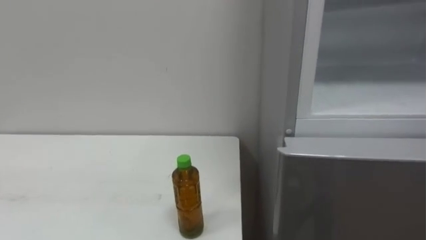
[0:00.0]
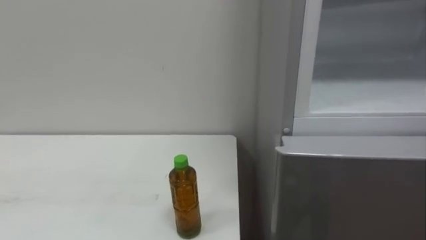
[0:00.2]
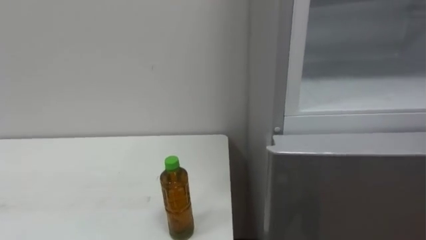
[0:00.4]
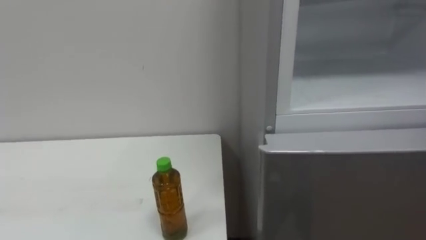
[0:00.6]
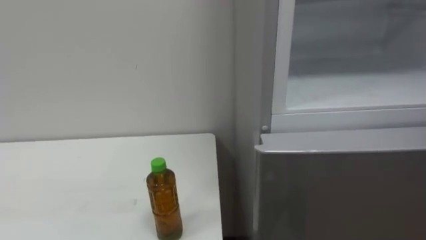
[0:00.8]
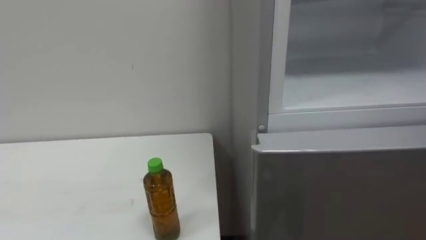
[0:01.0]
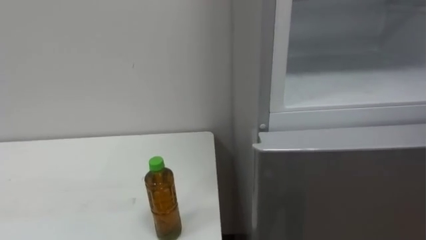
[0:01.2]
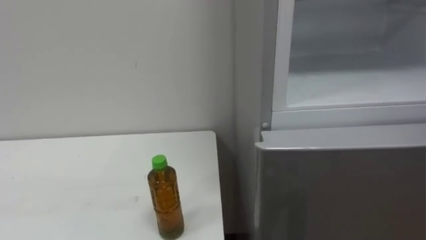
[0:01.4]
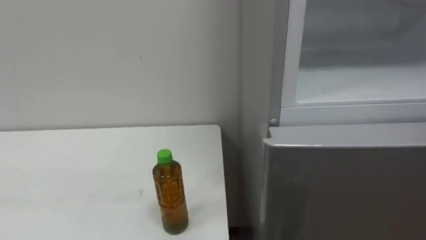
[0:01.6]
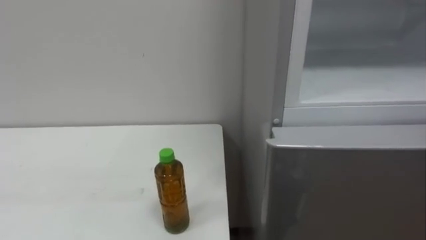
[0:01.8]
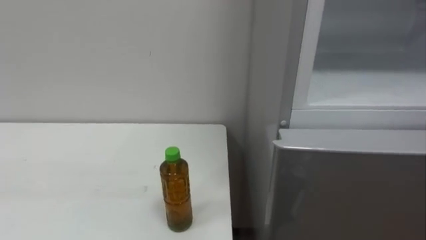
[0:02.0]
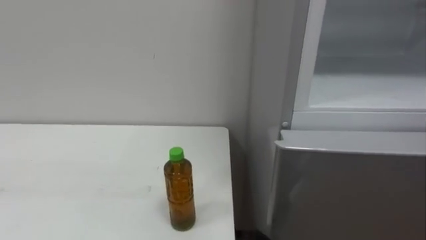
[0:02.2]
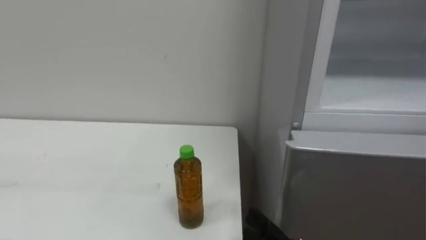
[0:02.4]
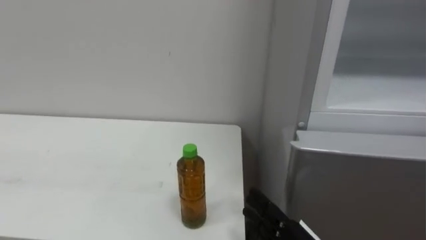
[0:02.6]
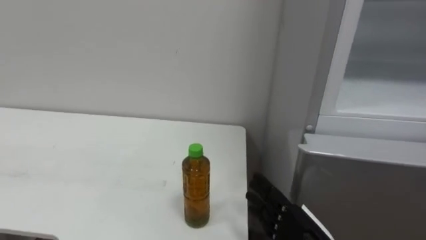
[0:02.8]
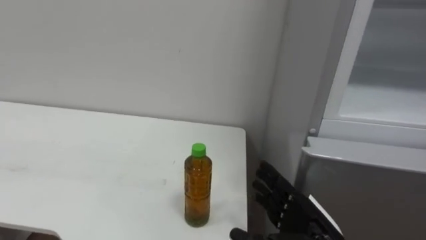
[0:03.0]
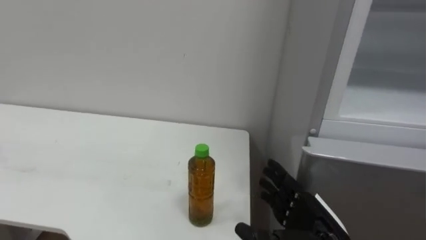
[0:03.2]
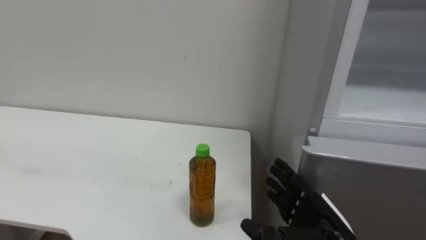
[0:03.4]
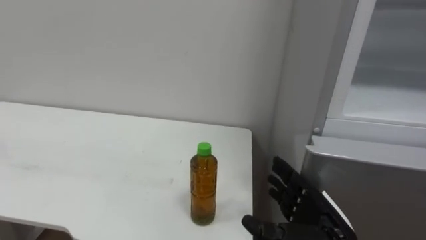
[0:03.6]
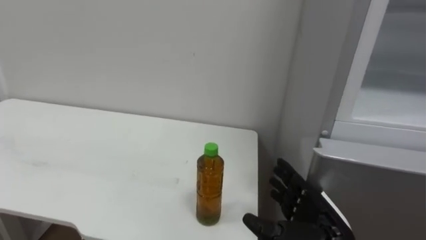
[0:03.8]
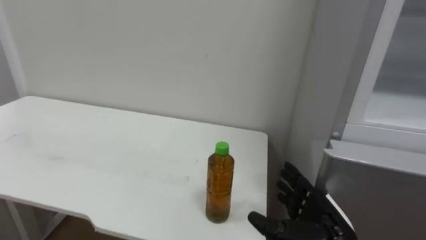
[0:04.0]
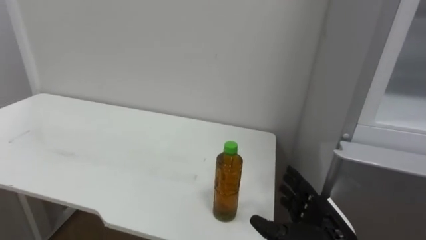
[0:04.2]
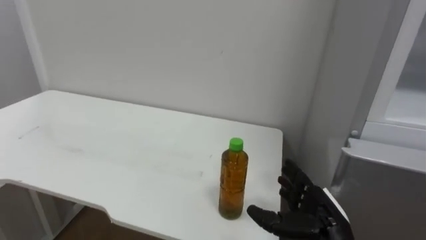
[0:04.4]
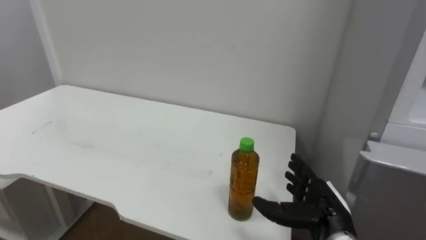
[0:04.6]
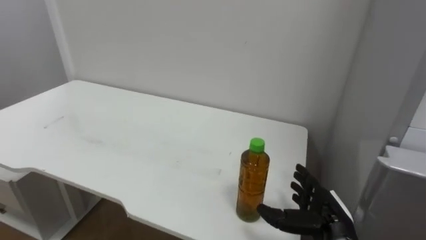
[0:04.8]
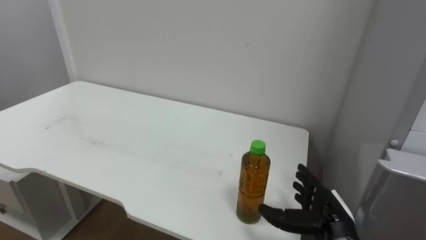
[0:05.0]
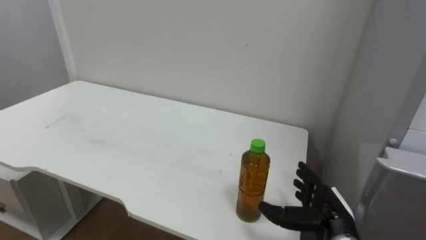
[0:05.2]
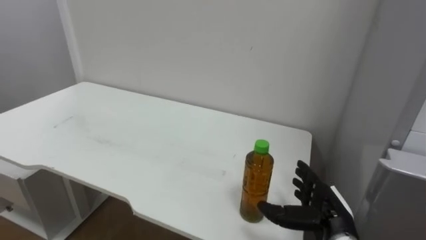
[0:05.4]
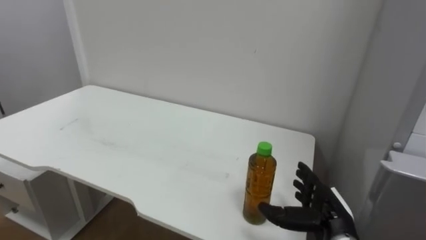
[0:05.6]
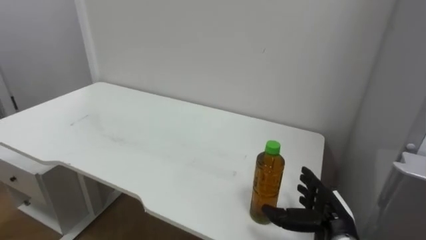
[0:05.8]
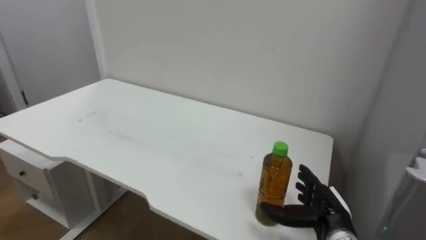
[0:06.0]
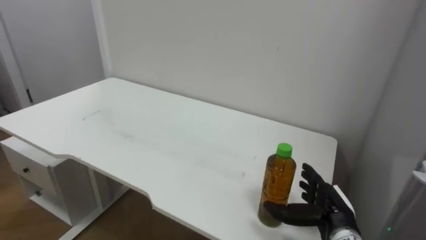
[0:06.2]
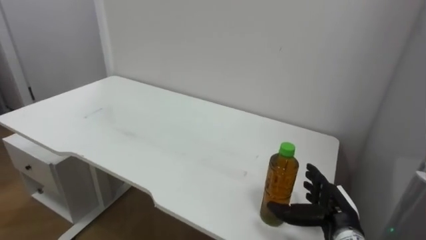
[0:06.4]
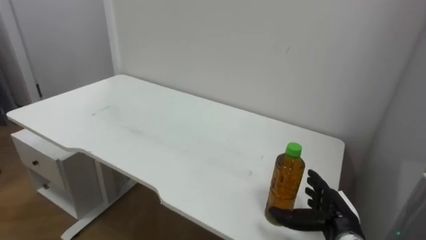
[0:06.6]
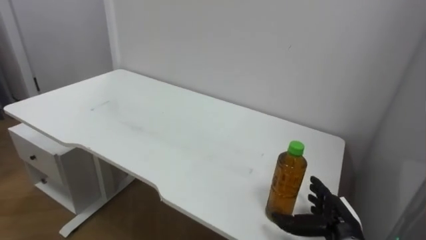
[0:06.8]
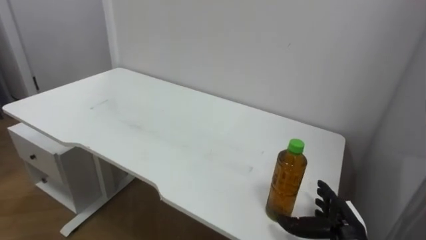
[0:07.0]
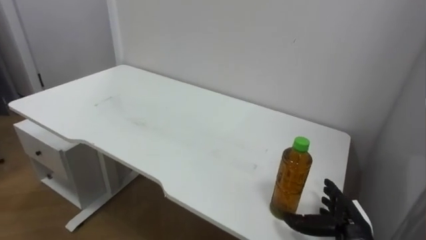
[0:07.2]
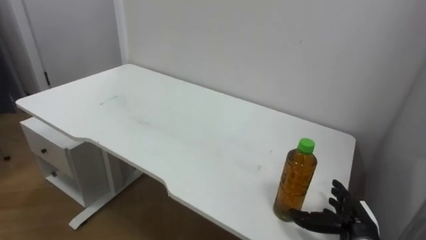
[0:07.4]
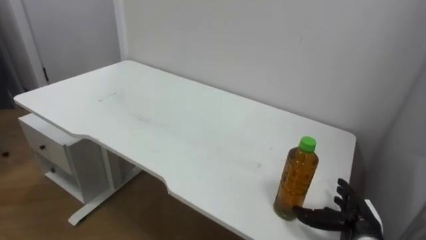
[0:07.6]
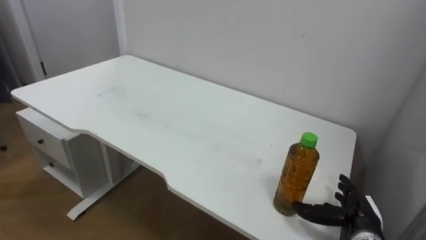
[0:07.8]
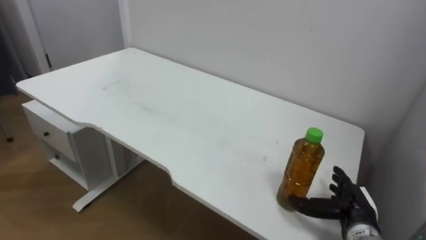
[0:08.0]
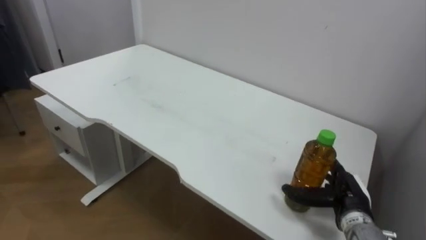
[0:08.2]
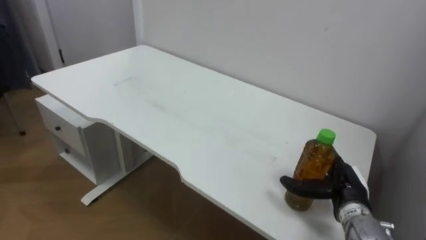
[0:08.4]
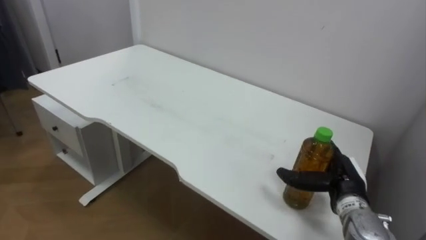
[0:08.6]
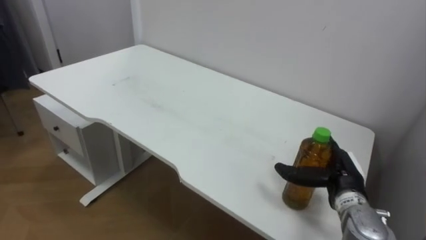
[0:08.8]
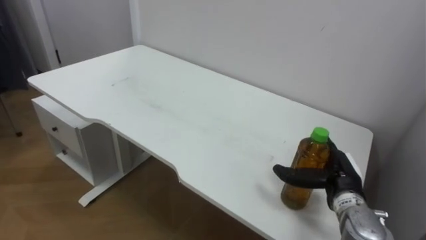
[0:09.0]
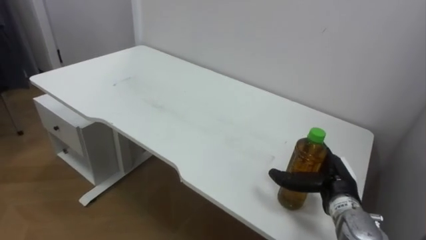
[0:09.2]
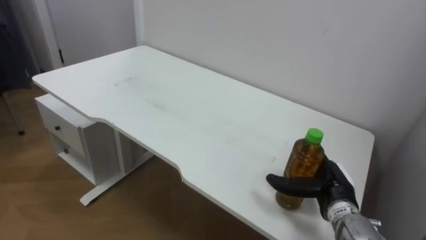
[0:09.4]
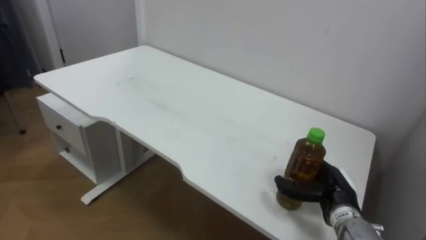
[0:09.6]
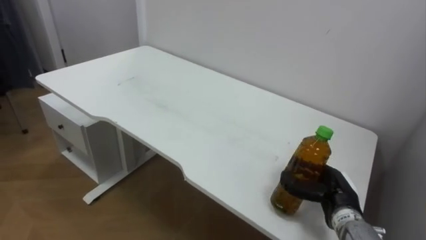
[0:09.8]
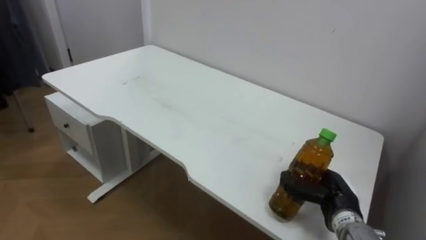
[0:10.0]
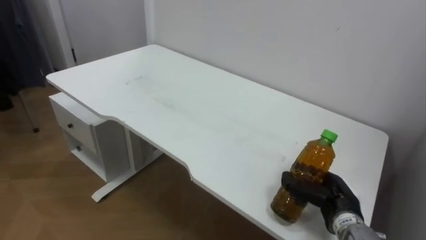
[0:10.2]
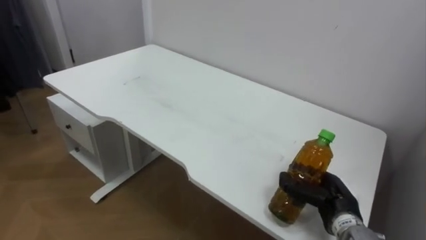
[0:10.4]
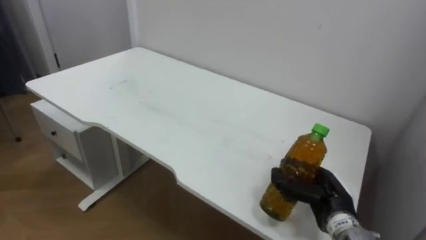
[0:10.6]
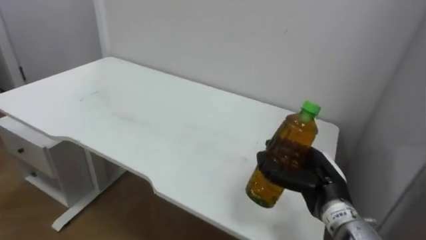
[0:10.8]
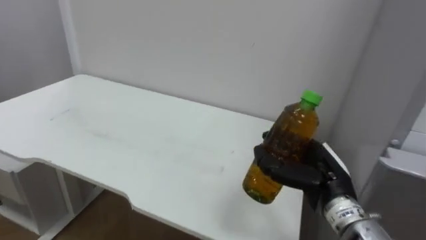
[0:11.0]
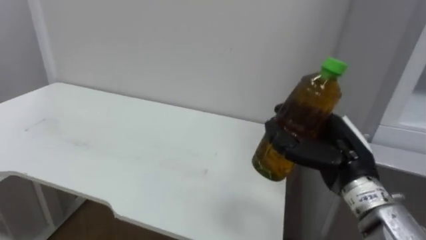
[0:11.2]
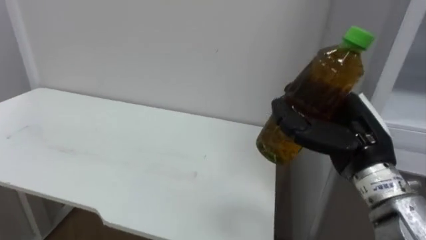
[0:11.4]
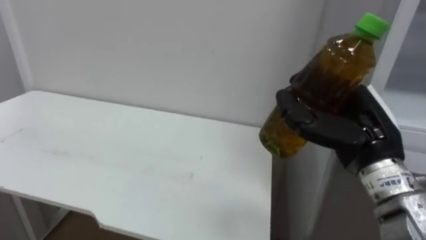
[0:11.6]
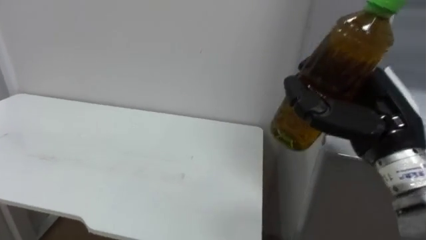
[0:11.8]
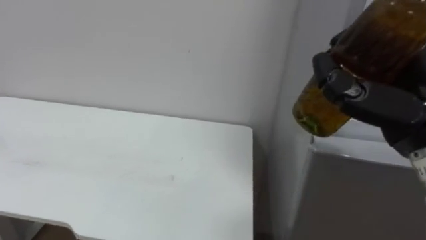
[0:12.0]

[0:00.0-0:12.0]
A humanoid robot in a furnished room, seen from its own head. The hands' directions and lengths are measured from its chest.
Task of the whole recording: Open the upper refrigerator door, put the drink from the table into the refrigerator, and then close the refrigerator door.
0:03.0 to 0:04.4: The right hand shifts by roughly 5 cm.
0:06.0 to 0:07.6: The right hand goes approximately 5 cm to the right.
0:07.6 to 0:09.0: The right hand heads upward, covering approximately 10 cm.
0:09.0 to 0:10.4: The right hand closes its fingers.
0:10.4 to 0:12.0: The right hand travels upward by some 25 cm.

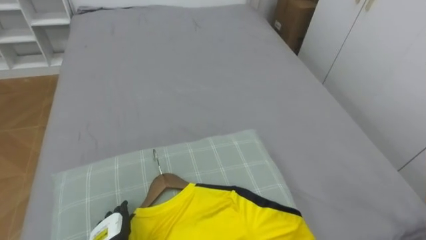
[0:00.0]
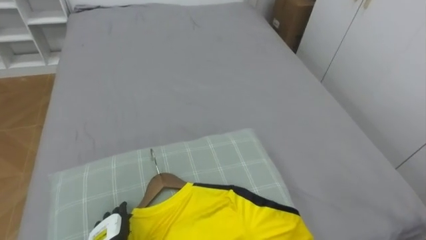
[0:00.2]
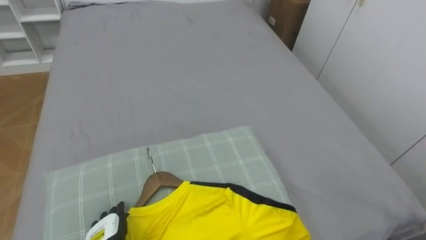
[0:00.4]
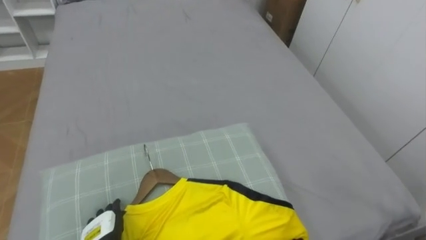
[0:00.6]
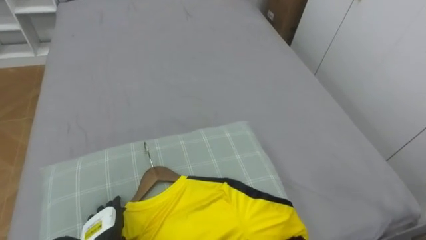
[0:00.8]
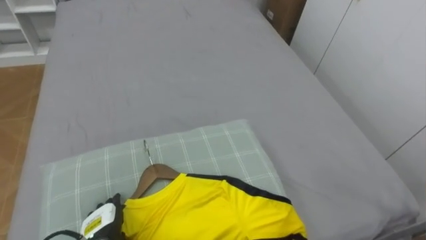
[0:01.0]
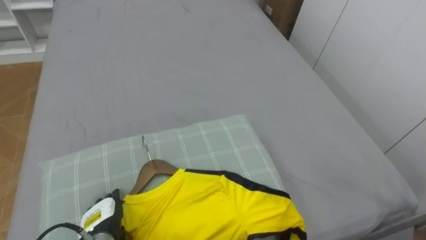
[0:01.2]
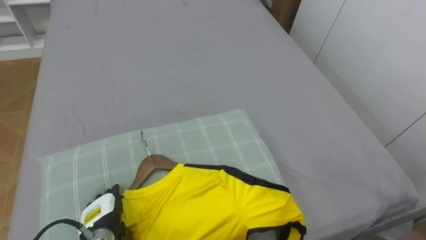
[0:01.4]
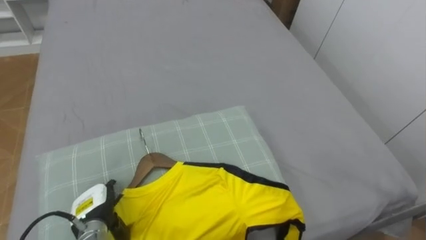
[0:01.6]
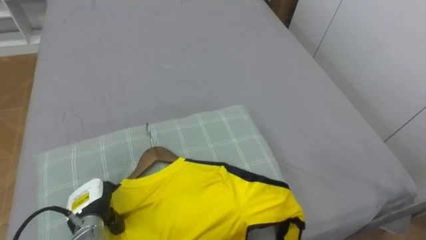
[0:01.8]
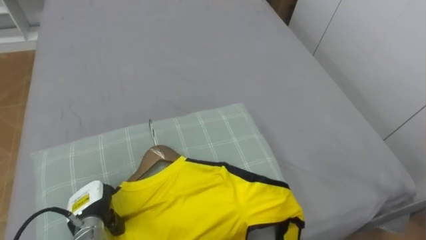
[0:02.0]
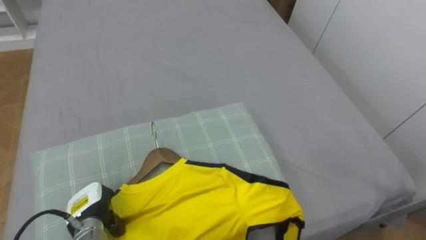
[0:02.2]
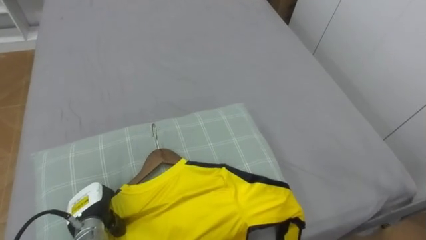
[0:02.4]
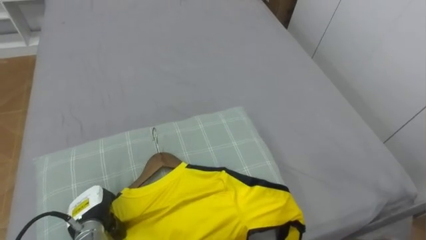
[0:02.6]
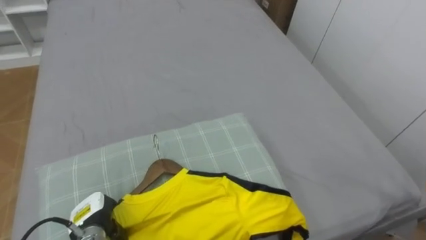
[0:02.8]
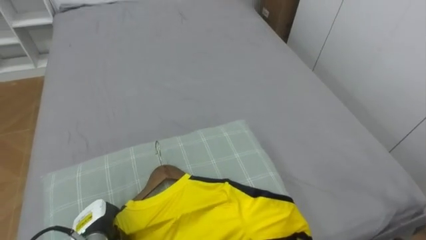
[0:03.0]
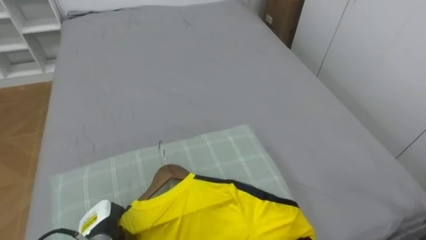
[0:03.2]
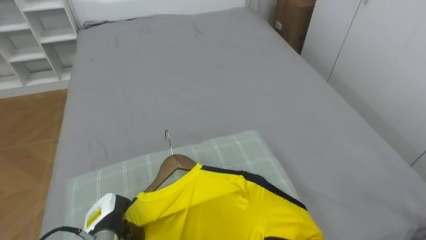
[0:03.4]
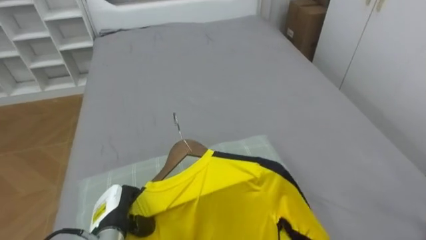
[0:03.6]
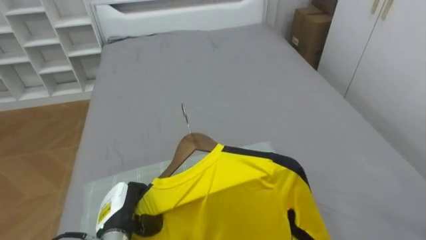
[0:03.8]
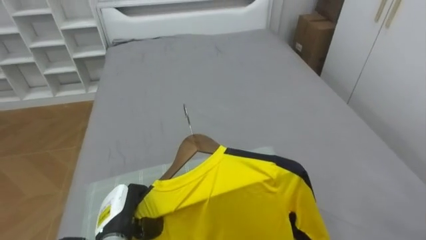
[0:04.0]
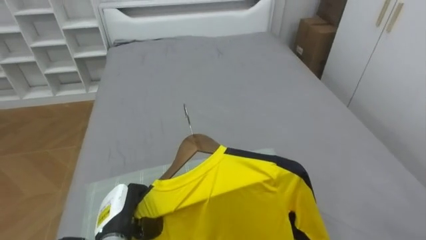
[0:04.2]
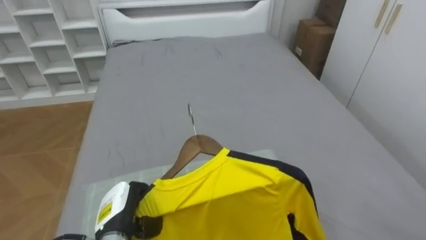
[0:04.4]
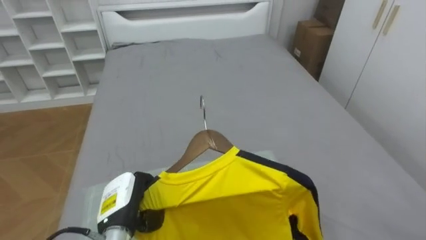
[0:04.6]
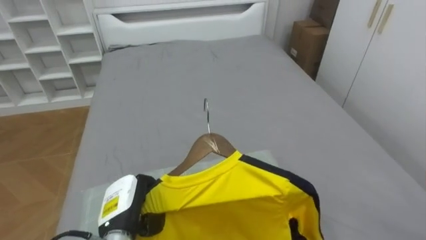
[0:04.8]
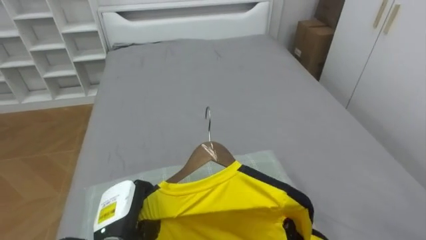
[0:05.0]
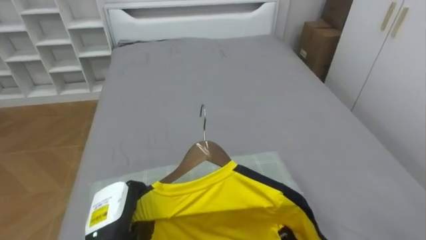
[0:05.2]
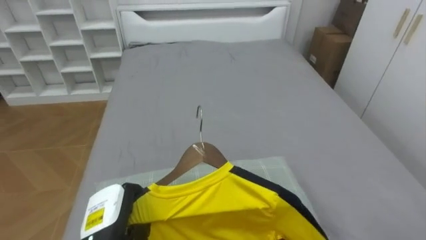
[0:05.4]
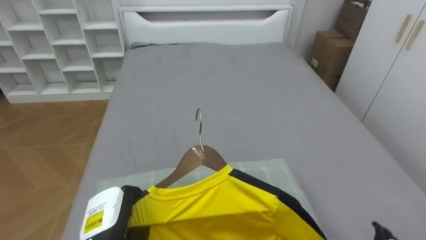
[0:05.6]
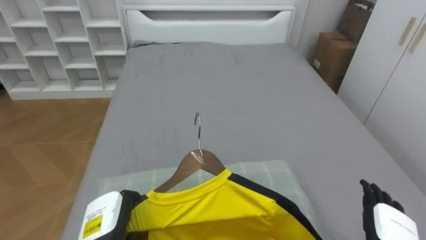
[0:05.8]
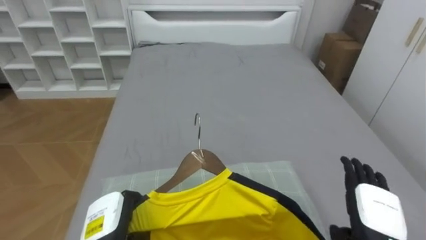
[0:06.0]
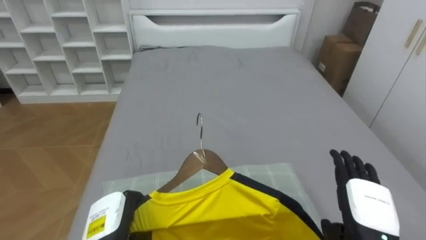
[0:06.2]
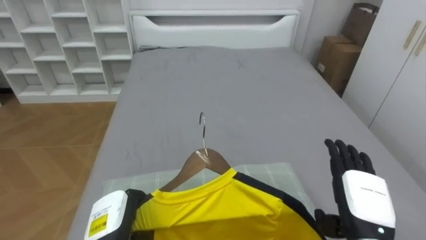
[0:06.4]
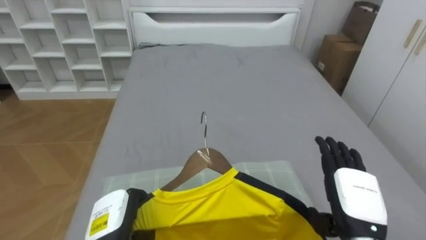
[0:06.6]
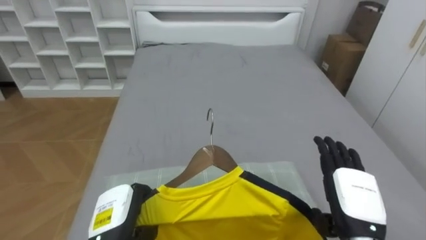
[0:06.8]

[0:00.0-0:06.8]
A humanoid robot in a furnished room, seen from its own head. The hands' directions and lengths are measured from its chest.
Task of the whole recording: Pick up the yellow shirt on the bed and hang it on the clothes rack on the right.
0:01.4 to 0:02.8: The left hand closes.
0:02.8 to 0:04.0: The left hand heads to the right, covering some 5 cm.
